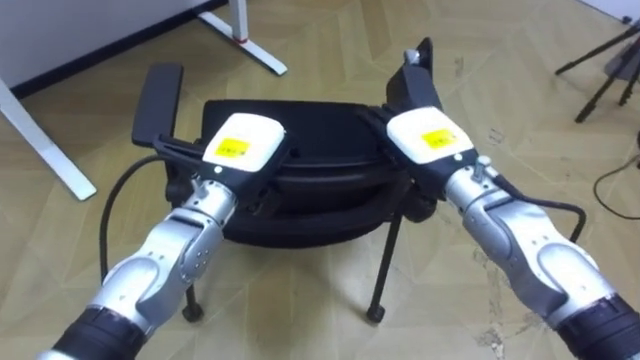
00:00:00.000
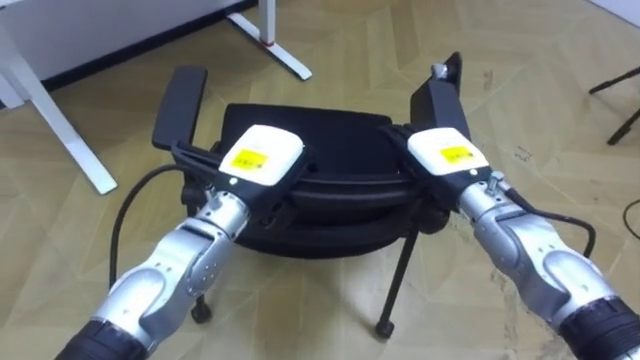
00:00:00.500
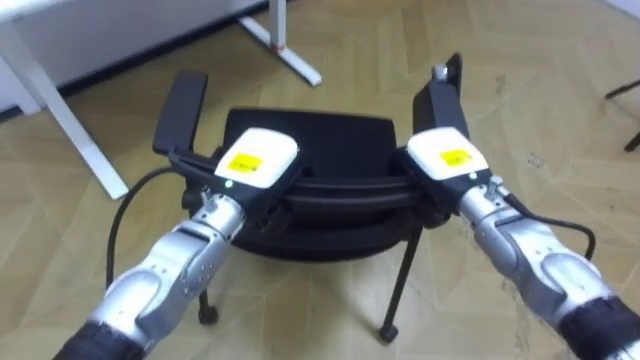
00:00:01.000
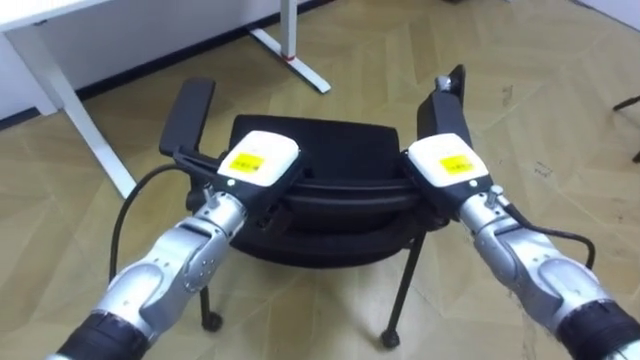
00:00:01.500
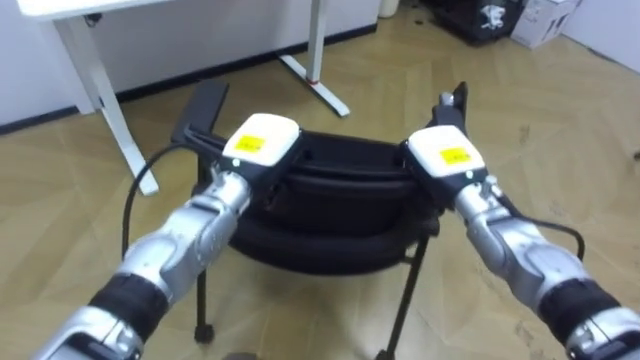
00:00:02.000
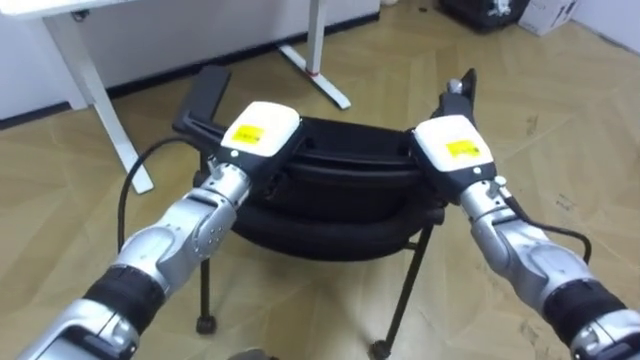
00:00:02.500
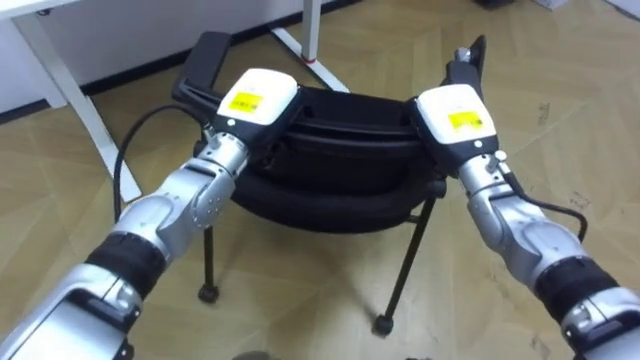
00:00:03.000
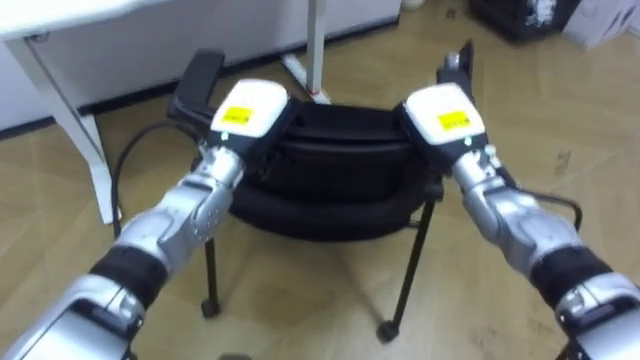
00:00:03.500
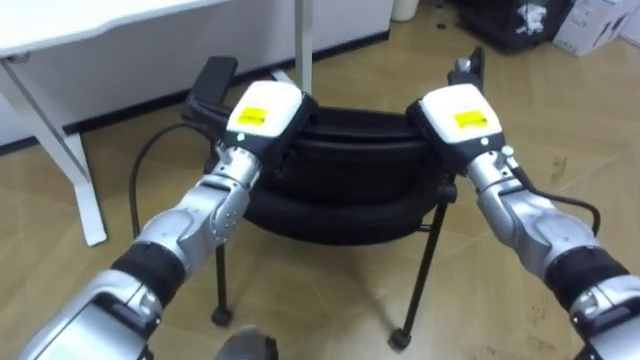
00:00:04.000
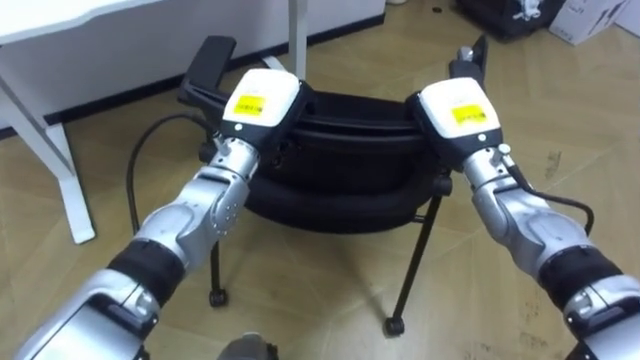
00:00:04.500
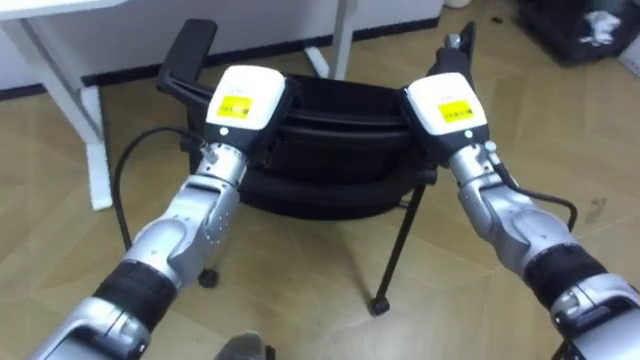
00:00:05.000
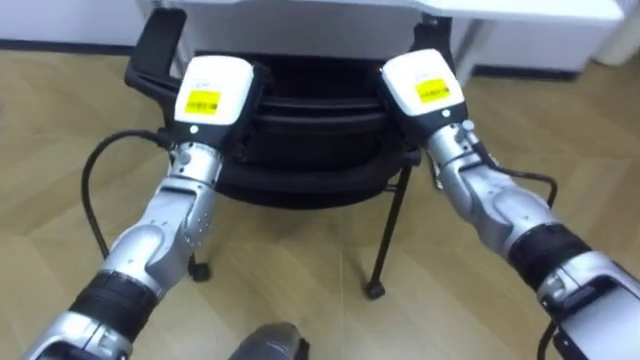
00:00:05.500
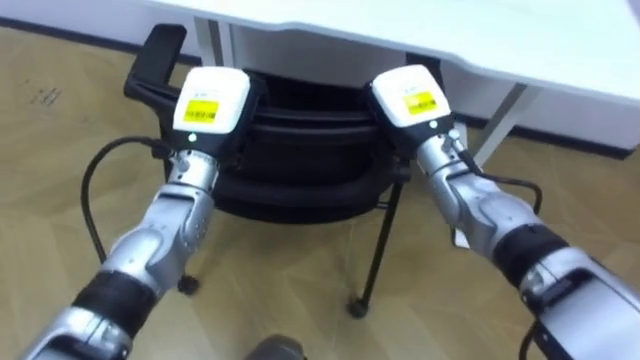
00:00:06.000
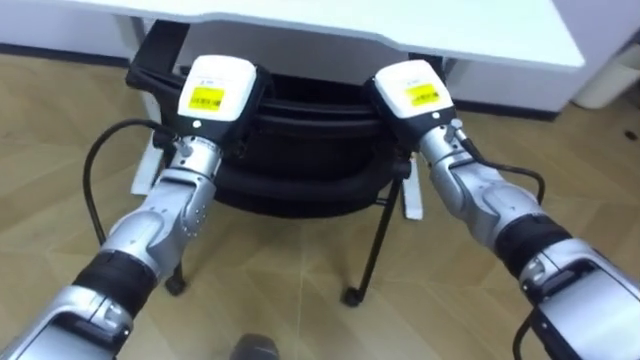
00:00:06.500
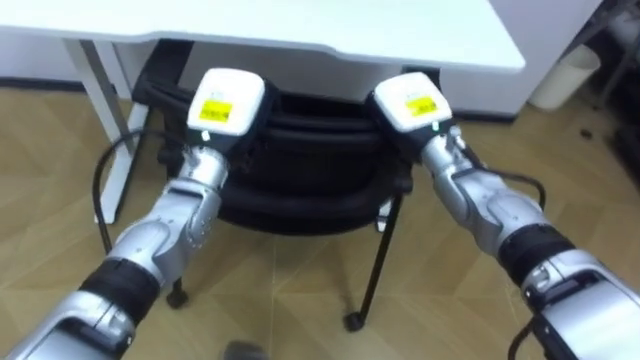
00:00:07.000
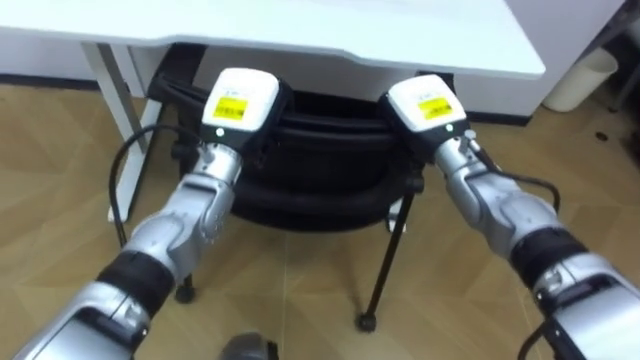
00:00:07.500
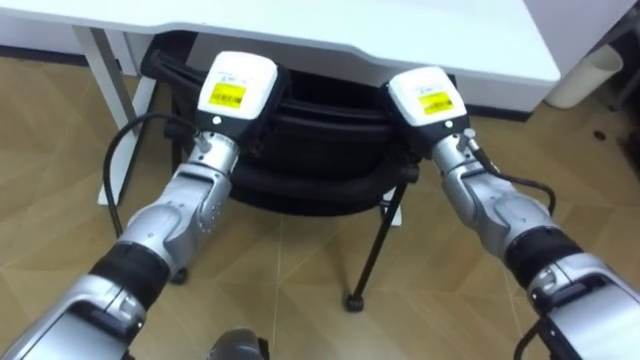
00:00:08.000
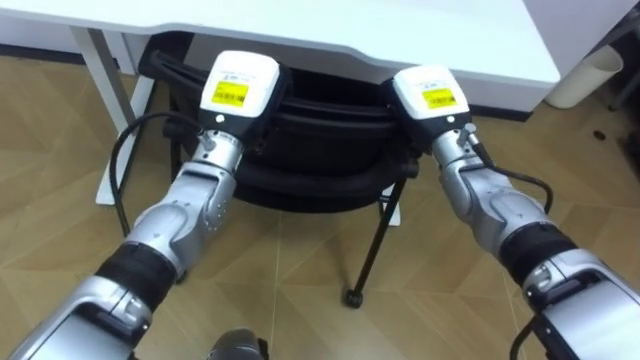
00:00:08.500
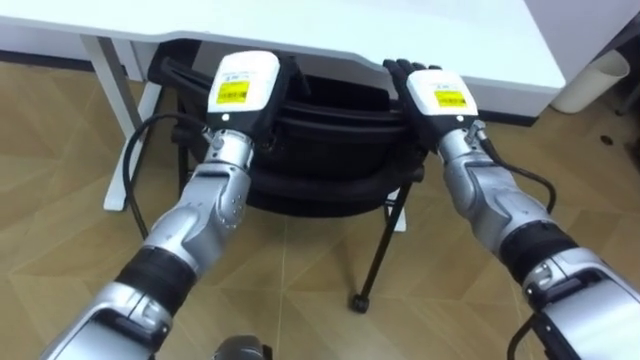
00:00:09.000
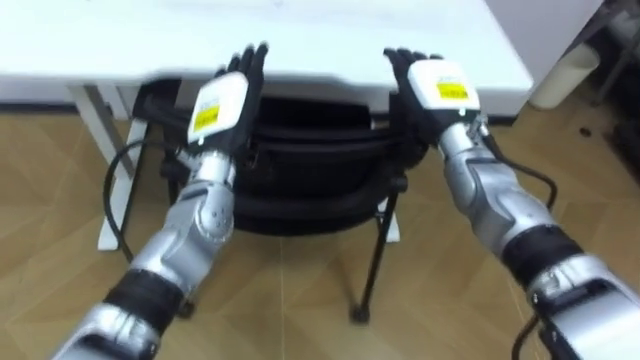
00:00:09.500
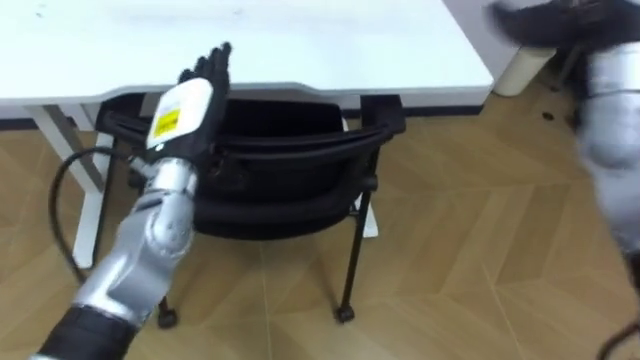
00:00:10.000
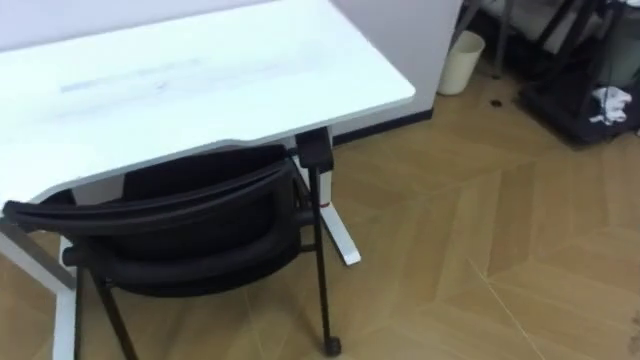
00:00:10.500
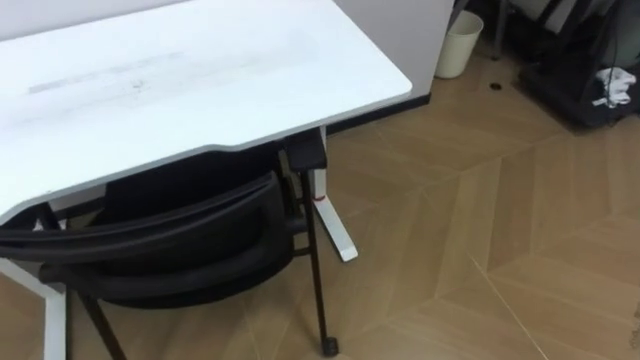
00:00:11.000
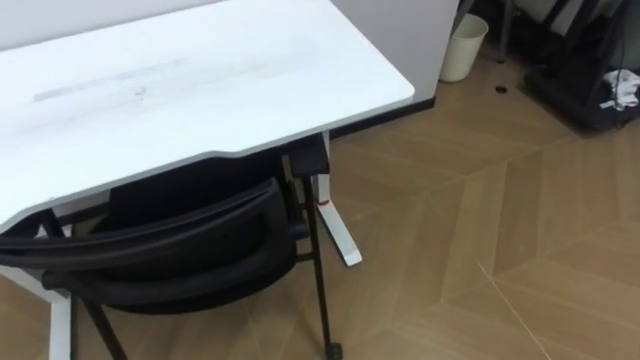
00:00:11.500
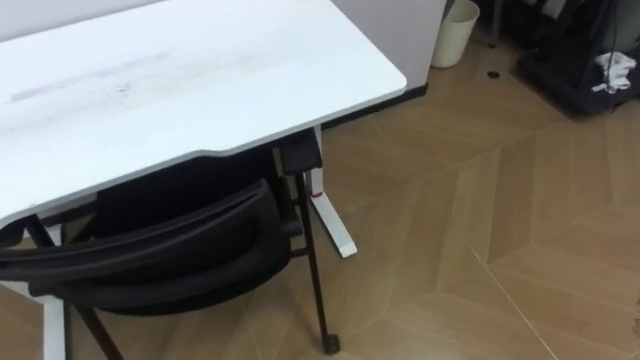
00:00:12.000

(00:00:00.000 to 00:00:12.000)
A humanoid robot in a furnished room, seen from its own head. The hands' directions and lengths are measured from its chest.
Task of the whole recording: Push the chair under the table.
00:00:00.000 - 00:00:02.000: The right hand shifts approximately 5 cm downward, and closes up.
00:00:02.000 - 00:00:04.000: The right hand moves some 5 cm.
00:00:04.000 - 00:00:06.000: Both hands travel together to the left, approximately 5 cm.
00:00:08.000 - 00:00:10.000: The left hand shifts about 5 cm to the left, and opens its fingers.

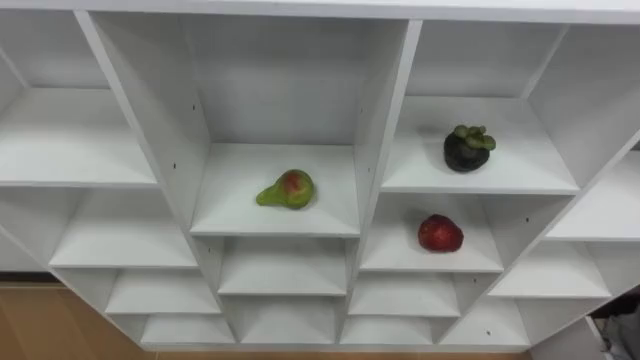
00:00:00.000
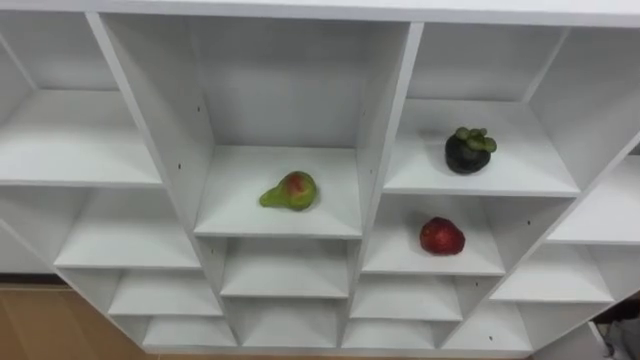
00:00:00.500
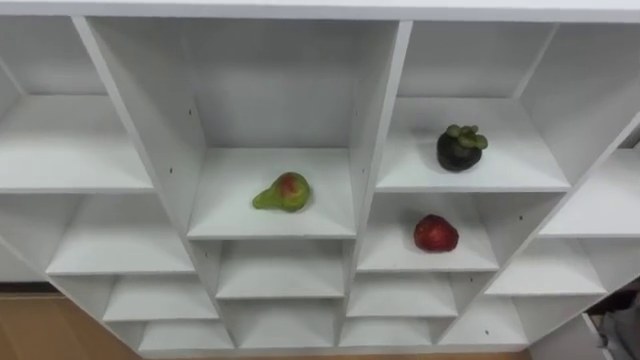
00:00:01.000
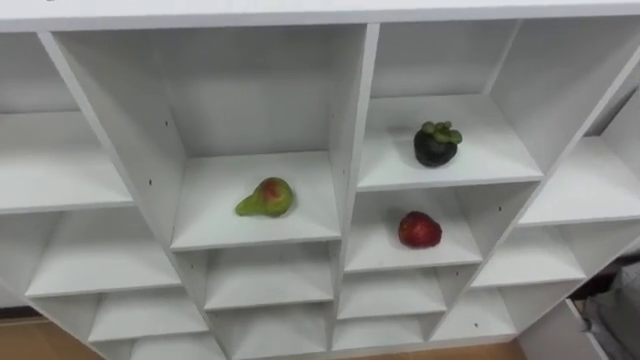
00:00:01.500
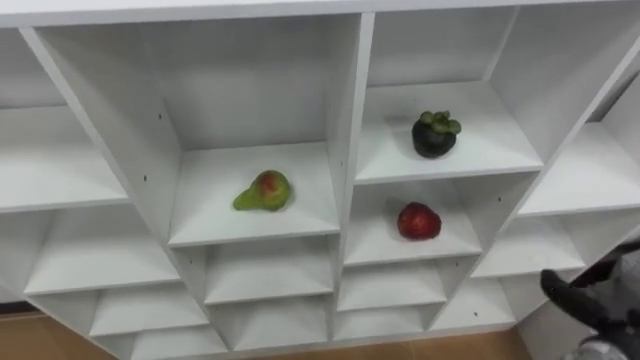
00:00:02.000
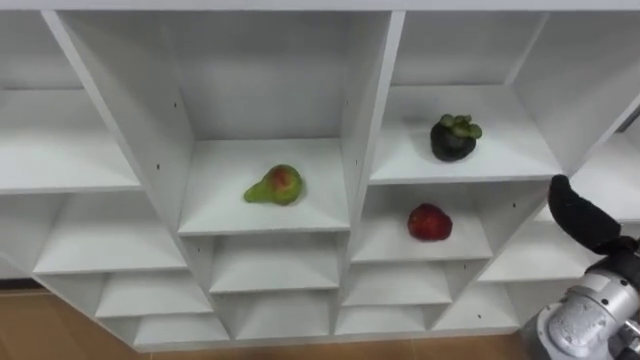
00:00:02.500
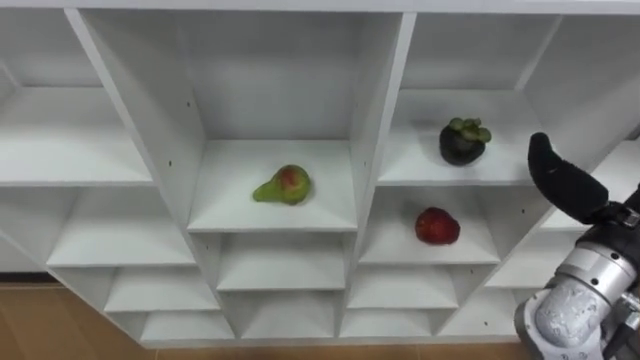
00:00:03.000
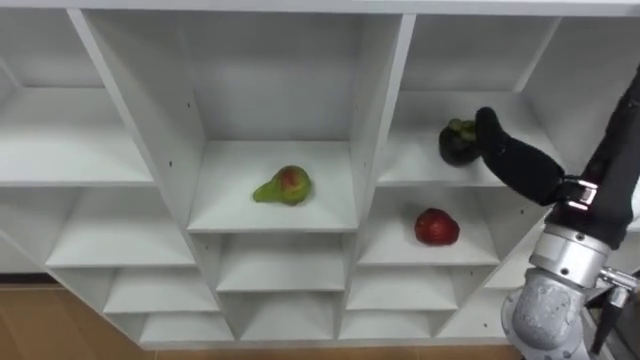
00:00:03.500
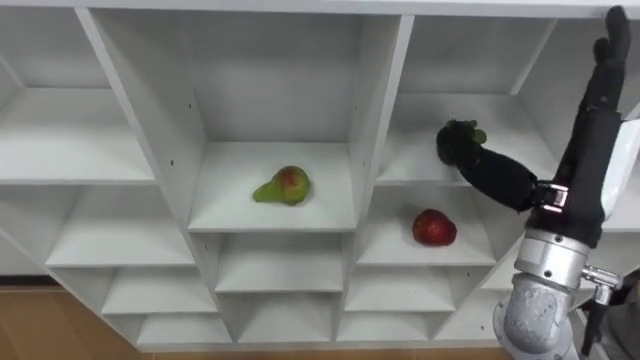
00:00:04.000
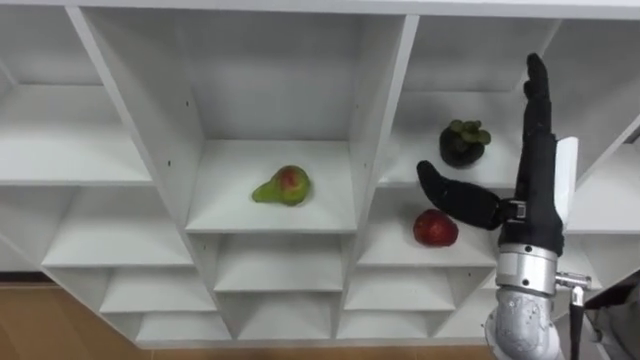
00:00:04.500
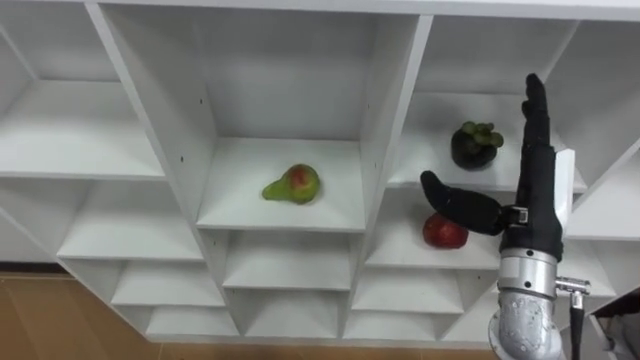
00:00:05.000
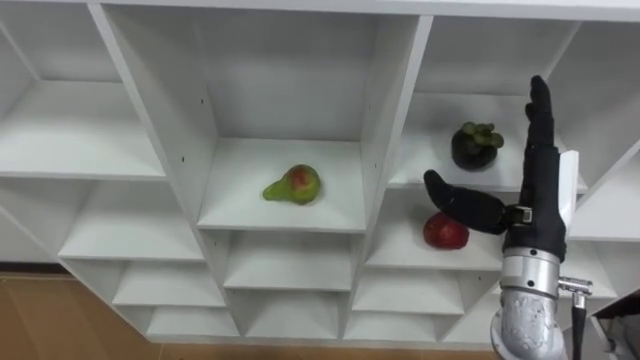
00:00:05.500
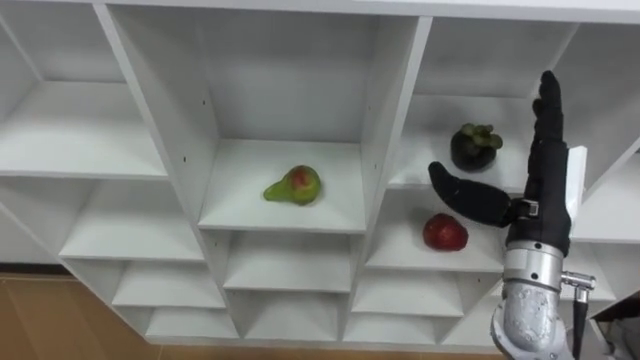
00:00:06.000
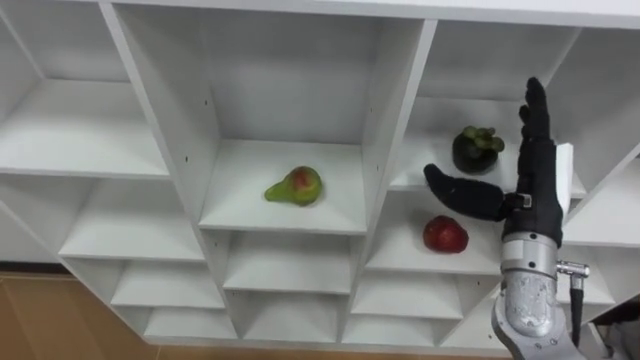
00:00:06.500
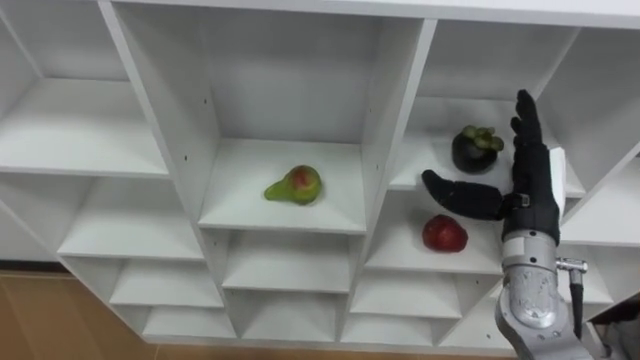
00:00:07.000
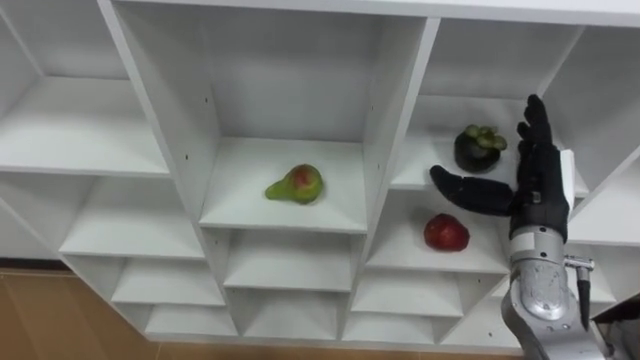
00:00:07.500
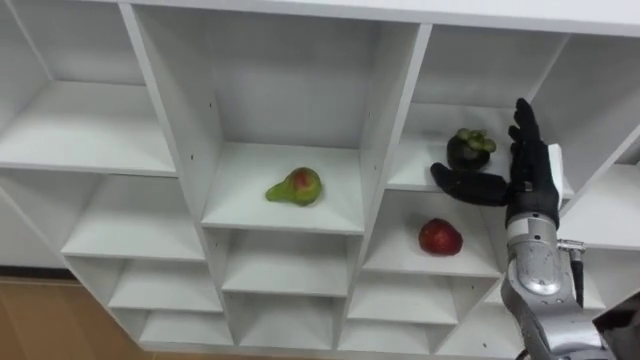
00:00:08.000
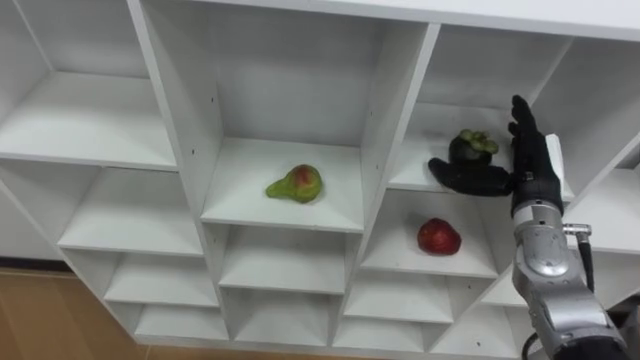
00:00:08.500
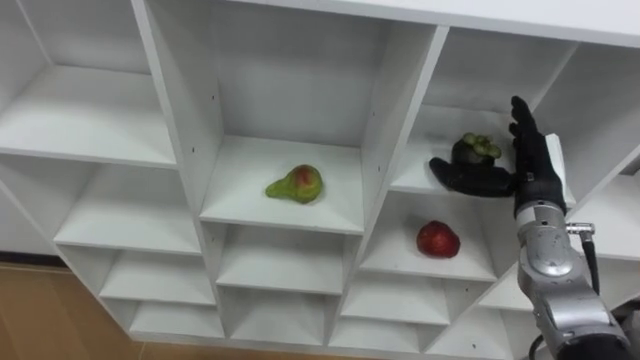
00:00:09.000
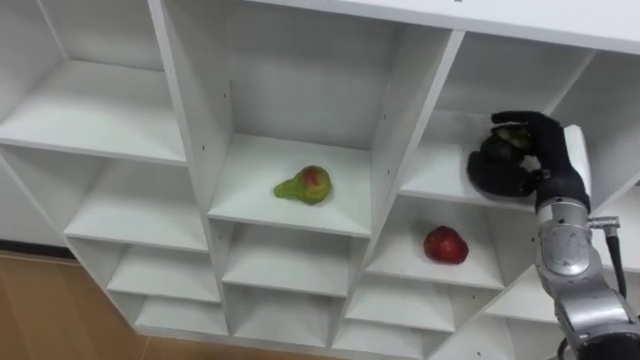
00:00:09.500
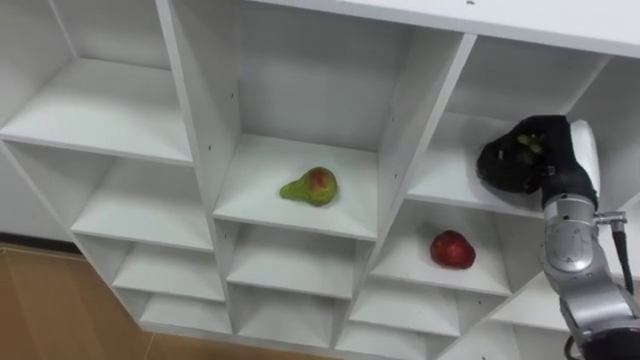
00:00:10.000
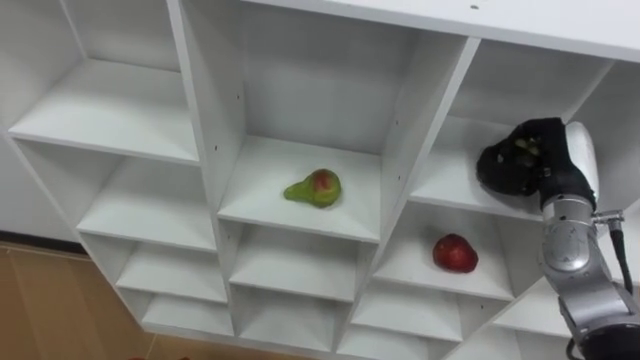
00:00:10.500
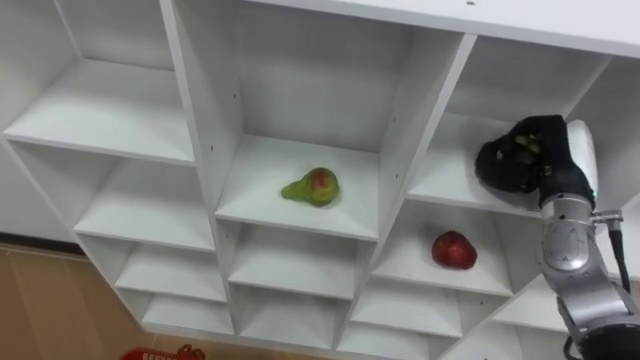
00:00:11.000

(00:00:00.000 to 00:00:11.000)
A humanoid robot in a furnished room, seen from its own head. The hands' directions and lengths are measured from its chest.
Task of the whole recording: Hold the basket and collect the fruits from 3 different cells of the closet into it.
00:00:02.000 - 00:00:03.500: The right hand heads upward and to the left, covering about 25 cm.
00:00:03.500 - 00:00:05.500: The right hand heads downward, covering some 5 cm.
00:00:07.500 - 00:00:09.000: The right hand shifts by some 5 cm.
00:00:09.000 - 00:00:11.000: The right hand closes.
